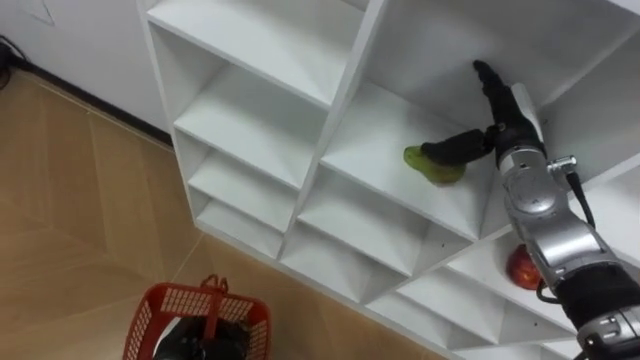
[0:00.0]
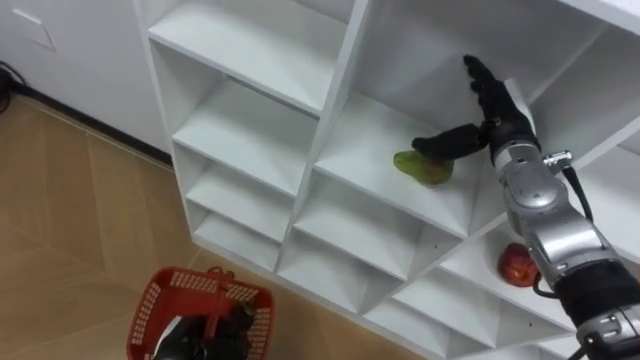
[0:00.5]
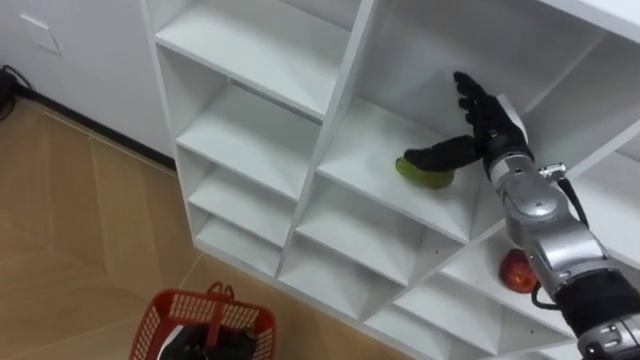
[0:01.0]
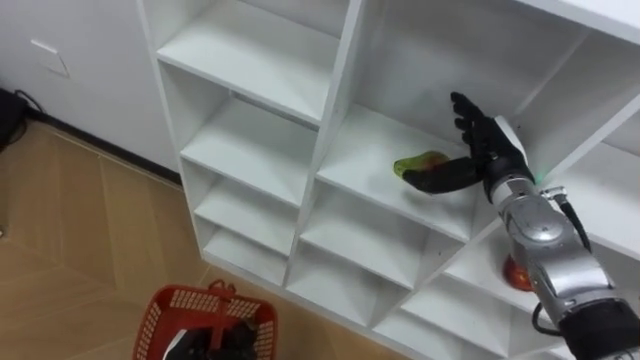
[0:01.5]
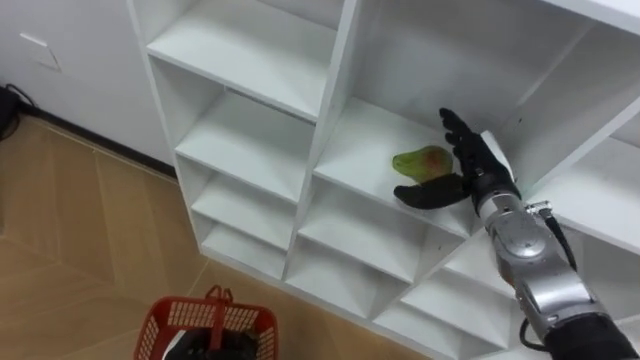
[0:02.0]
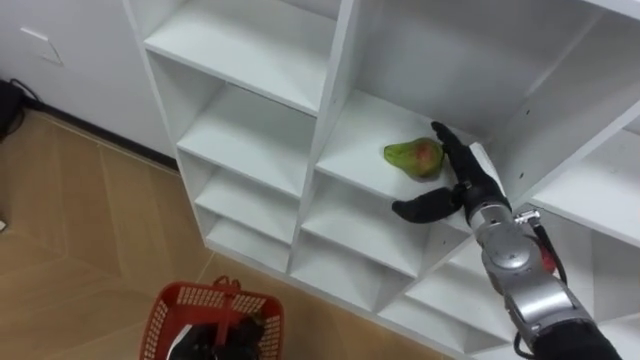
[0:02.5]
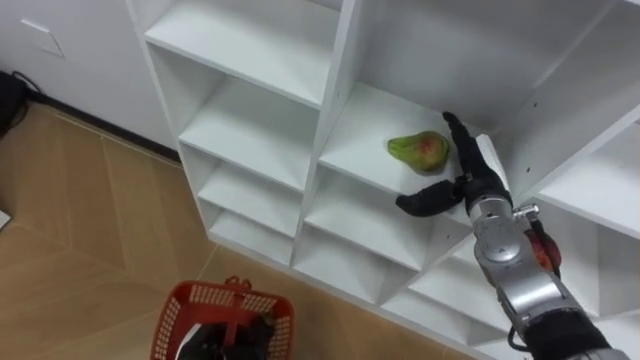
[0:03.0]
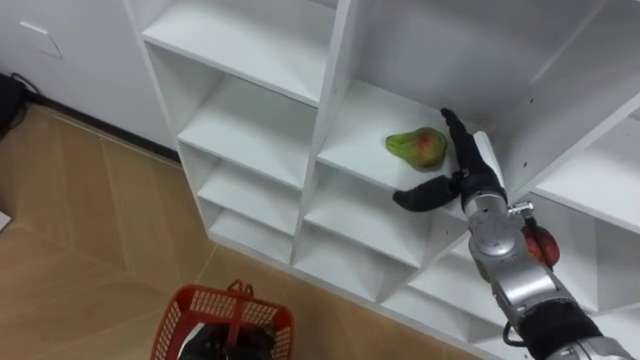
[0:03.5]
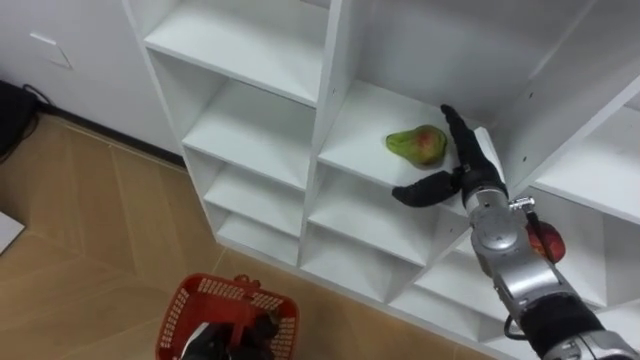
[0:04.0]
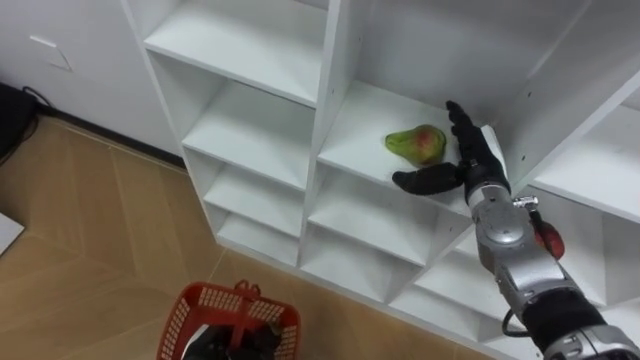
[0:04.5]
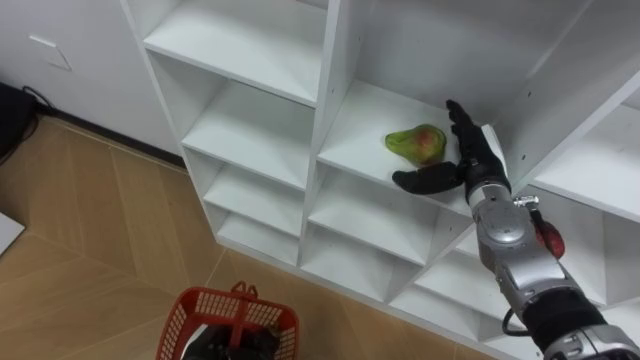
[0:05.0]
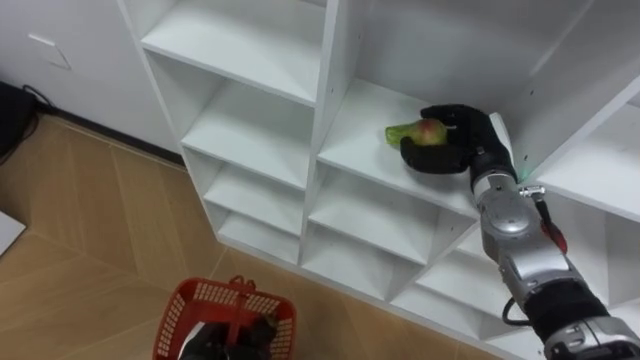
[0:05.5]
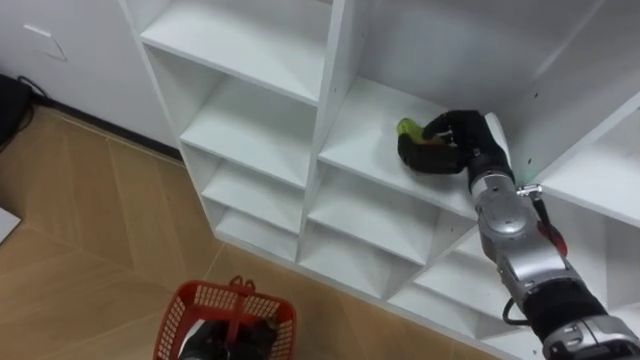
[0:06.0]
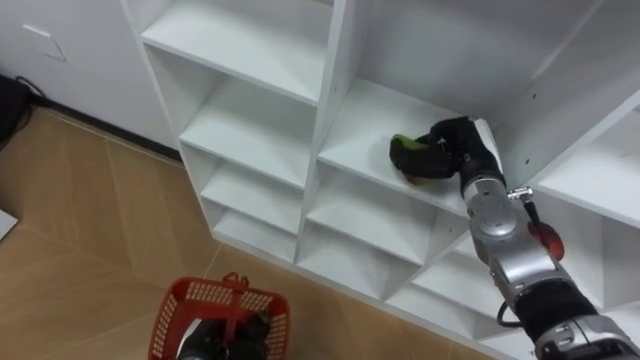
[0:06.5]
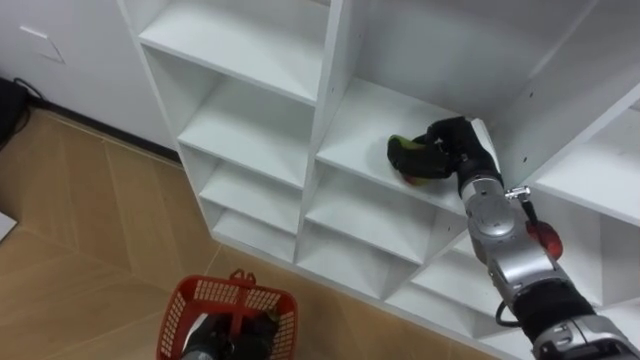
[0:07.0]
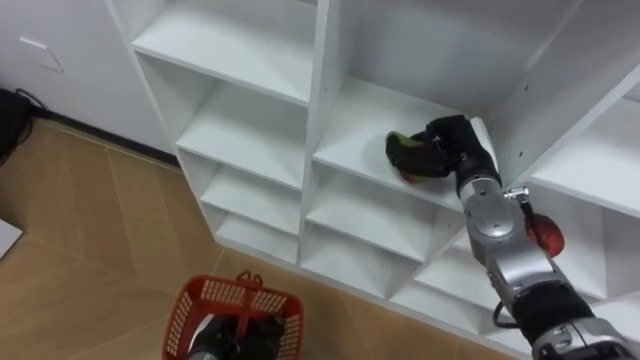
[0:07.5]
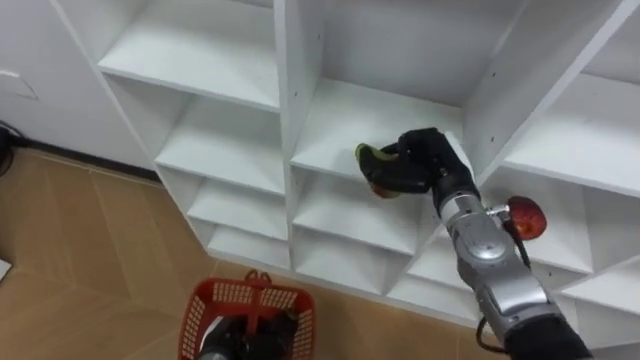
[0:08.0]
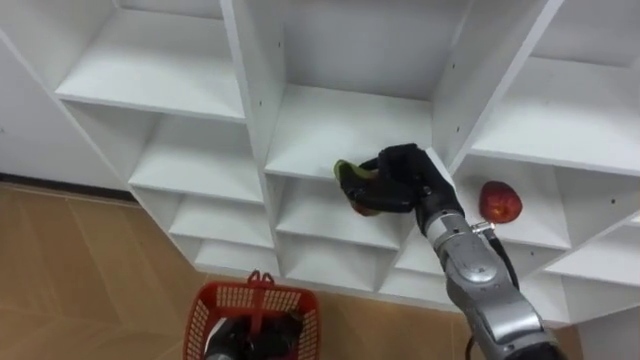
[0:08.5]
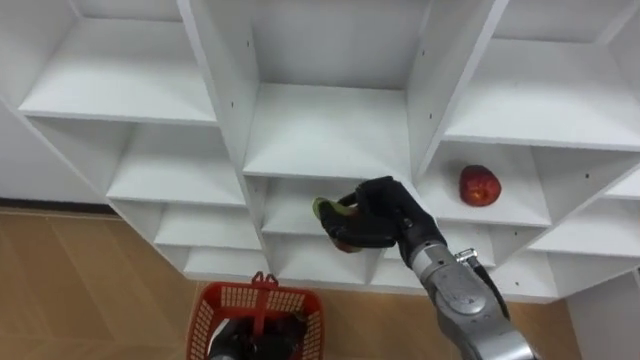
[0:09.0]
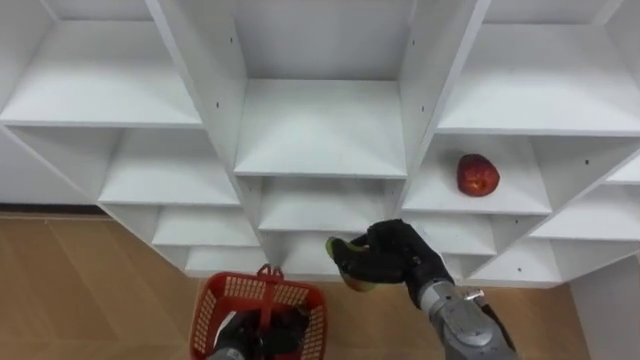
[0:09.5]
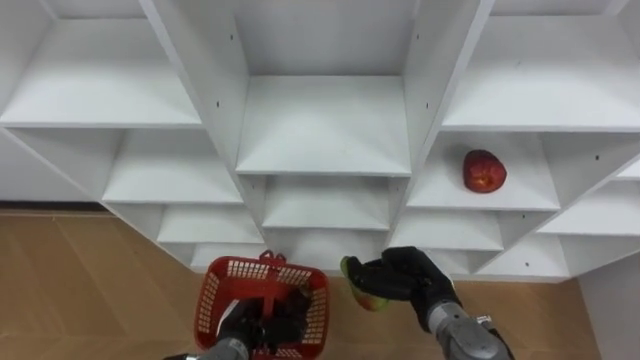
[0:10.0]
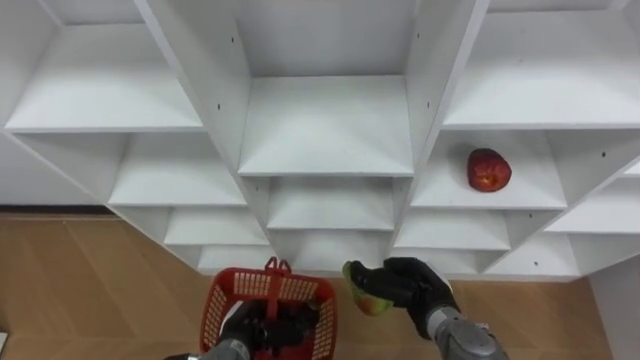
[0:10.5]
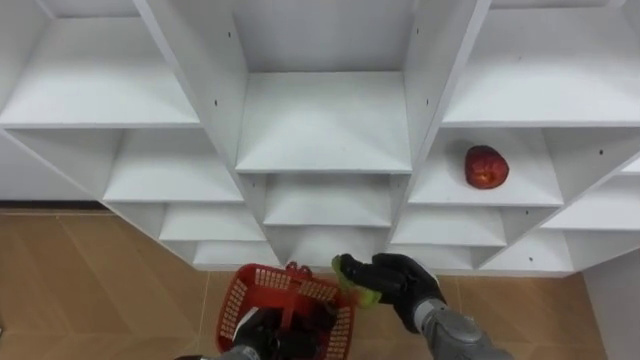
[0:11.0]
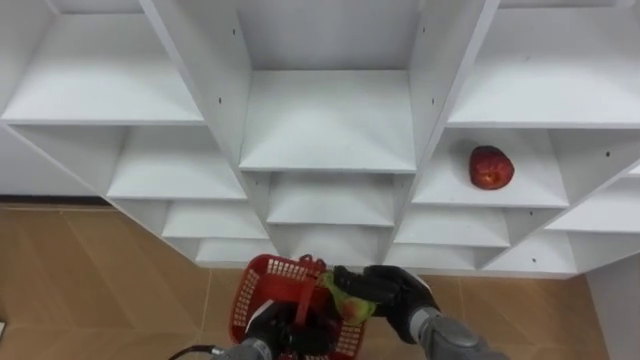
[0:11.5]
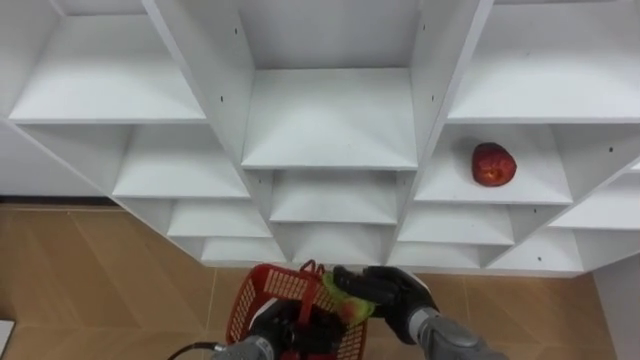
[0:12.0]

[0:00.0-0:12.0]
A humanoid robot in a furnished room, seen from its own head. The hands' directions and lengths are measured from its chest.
Task of the whole recording: Hold the basket and collect the fruits from 3 different cells of the closet into it.
0:00.0 to 0:02.0: The right hand moves about 5 cm.
0:04.0 to 0:06.0: The right hand closes its fingers.
0:06.0 to 0:08.0: The right hand moves approximately 5 cm.
0:08.0 to 0:10.0: The right hand shifts roughly 15 cm downward and backward.

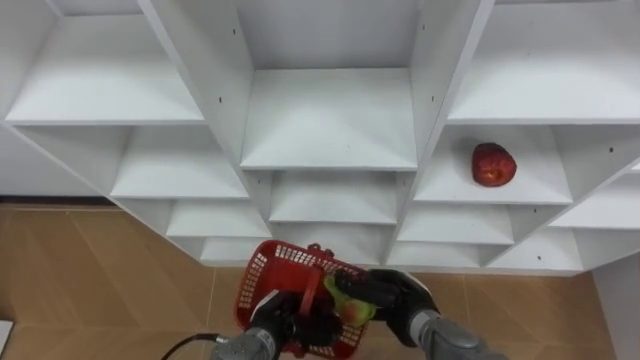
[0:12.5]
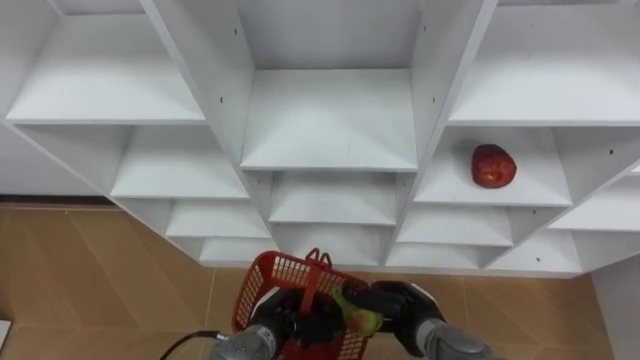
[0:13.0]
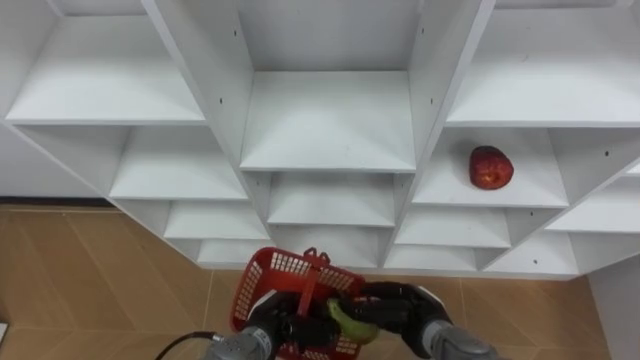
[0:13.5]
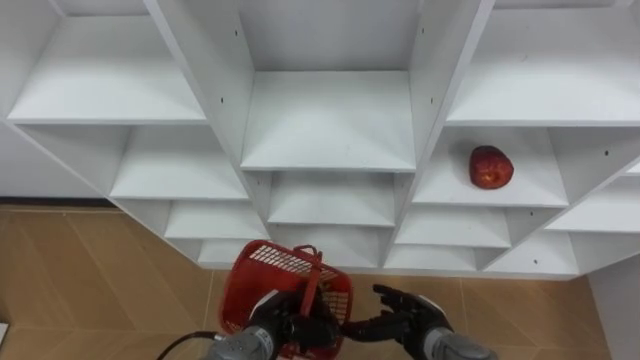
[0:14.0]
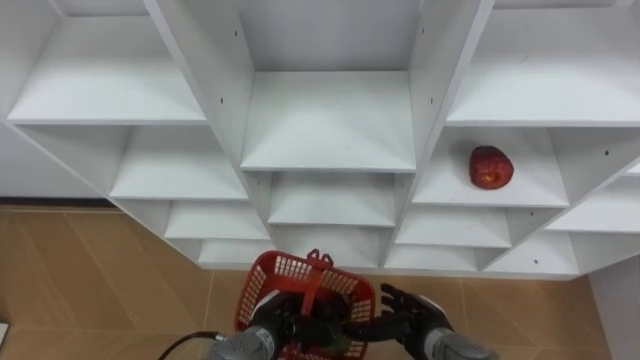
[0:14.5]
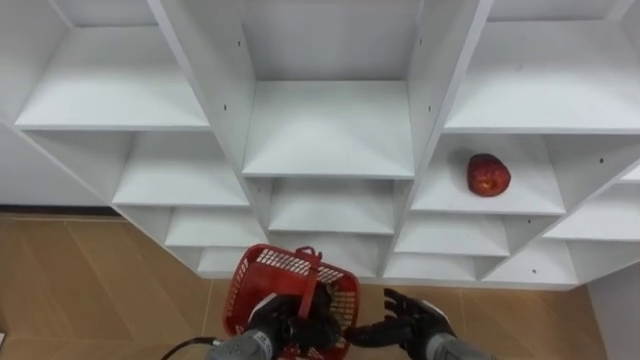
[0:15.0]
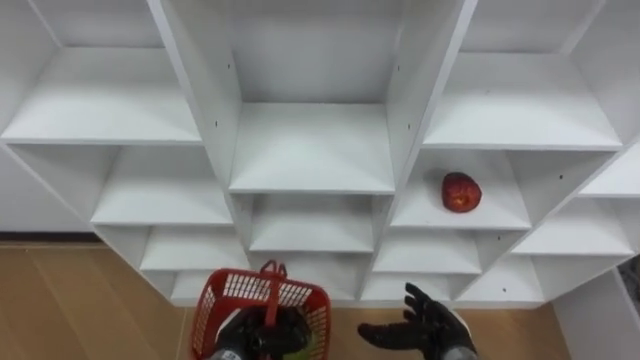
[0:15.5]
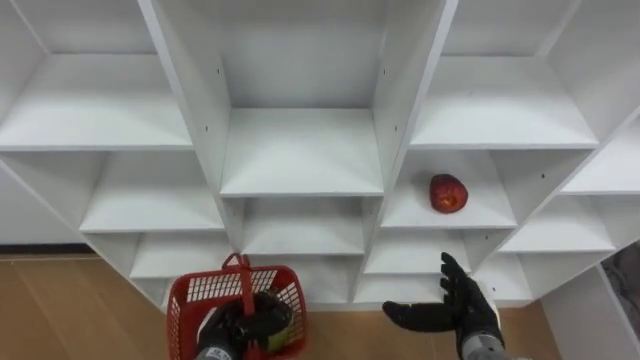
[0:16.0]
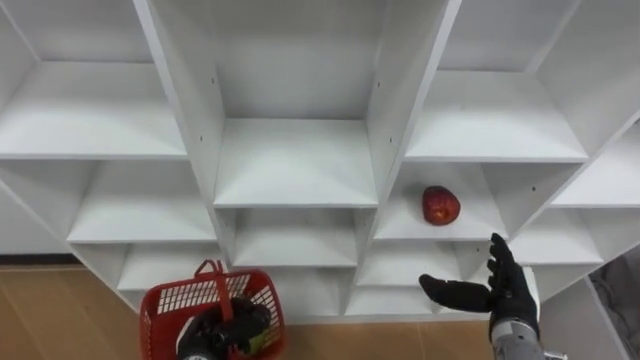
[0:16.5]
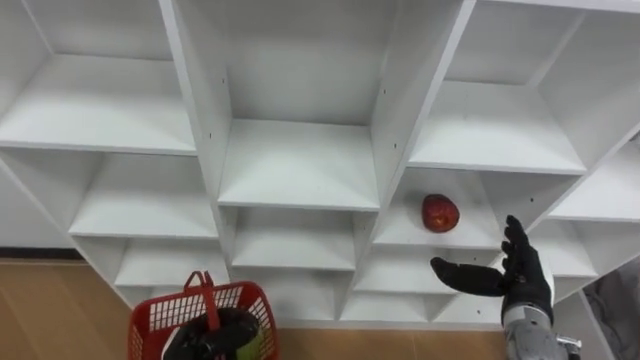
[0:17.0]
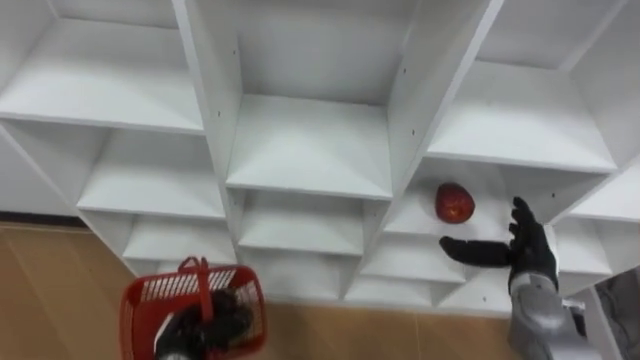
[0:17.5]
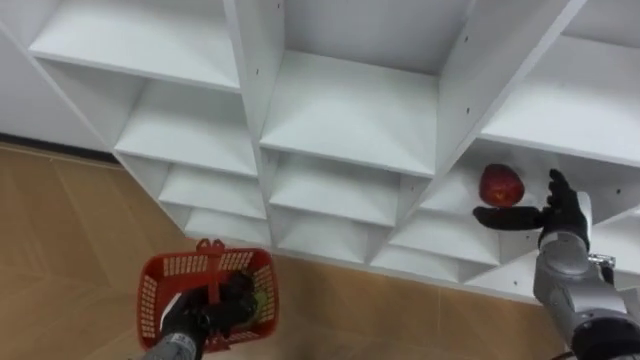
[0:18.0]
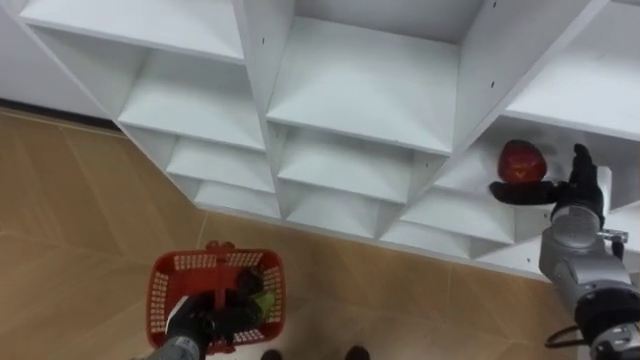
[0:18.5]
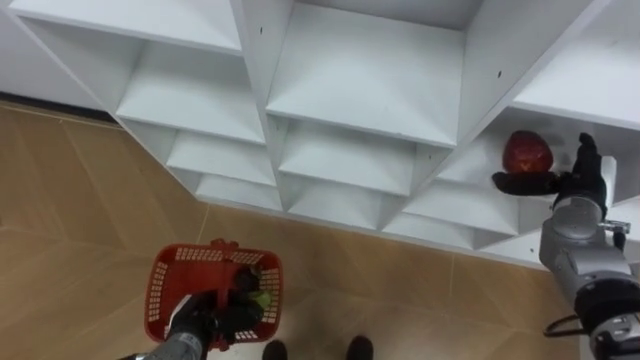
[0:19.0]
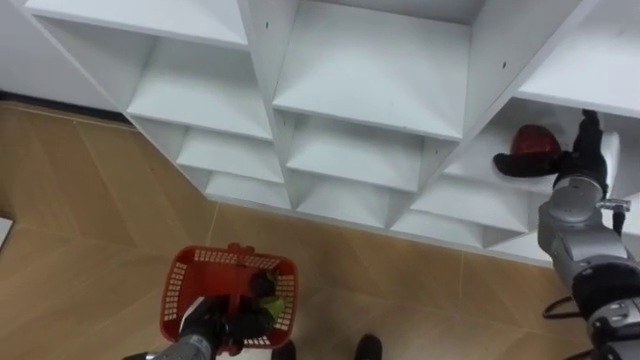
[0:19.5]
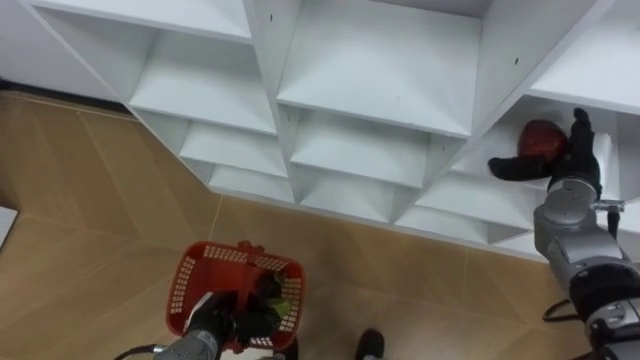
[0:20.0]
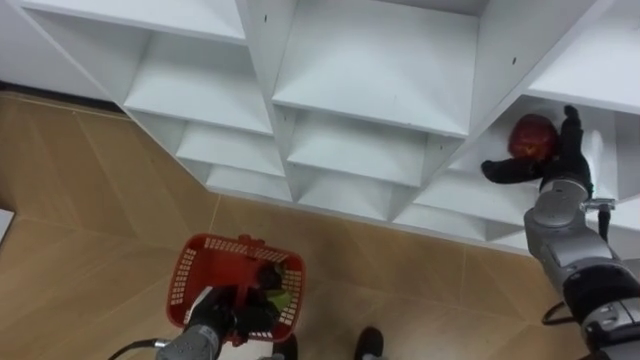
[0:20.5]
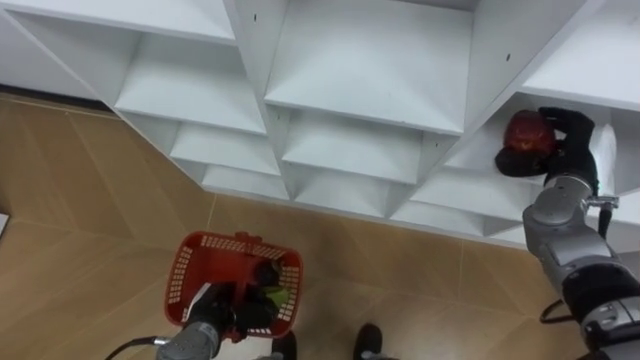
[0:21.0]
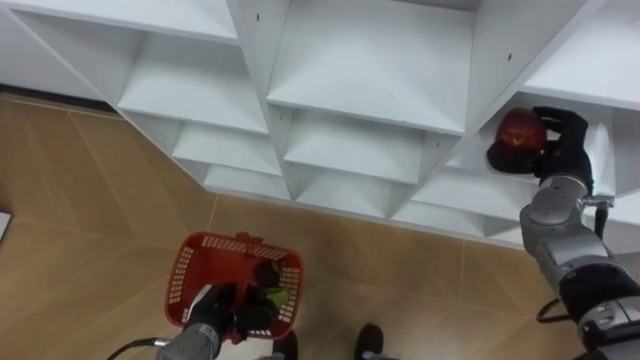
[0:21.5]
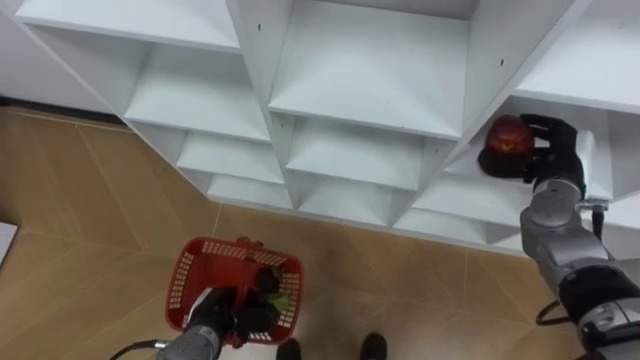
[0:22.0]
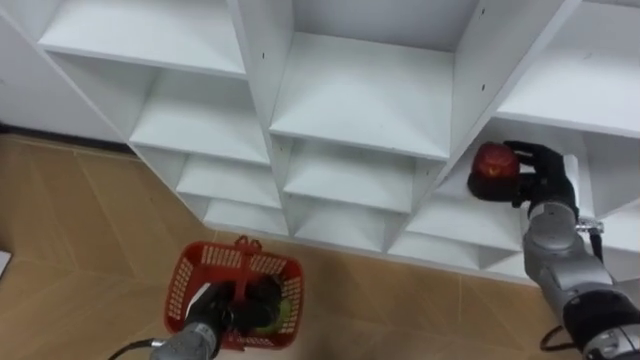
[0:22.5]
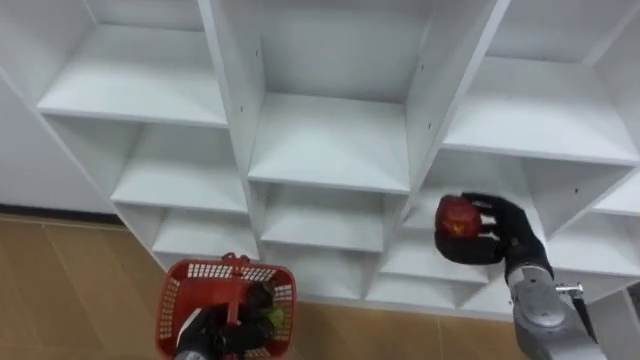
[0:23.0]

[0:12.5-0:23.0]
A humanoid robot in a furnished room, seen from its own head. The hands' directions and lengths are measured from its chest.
Task of the whole recording: Hold the basket and collect the fruits from 3 different cells of the closet into it.
0:12.5 to 0:14.5: The right hand opens up.
0:14.5 to 0:16.5: The left hand is displaced to the left by some 10 cm; the right hand shifts about 15 cm to the right and upward.
0:16.5 to 0:19.0: The right hand heads forward, to the right and upward, covering roughly 20 cm.
0:19.0 to 0:21.0: The right hand closes.
0:21.0 to 0:23.0: The right hand goes some 10 cm downward, backward and to the left.
